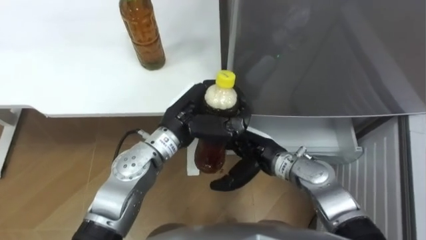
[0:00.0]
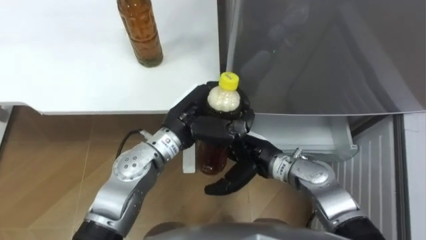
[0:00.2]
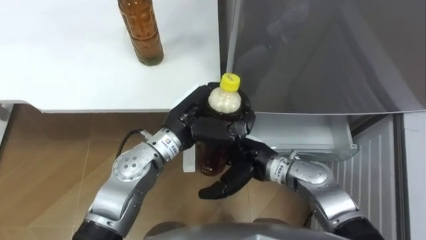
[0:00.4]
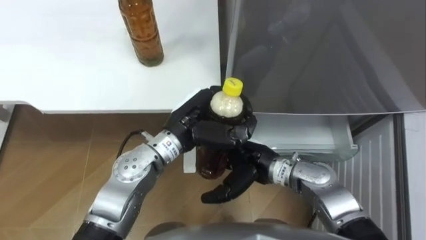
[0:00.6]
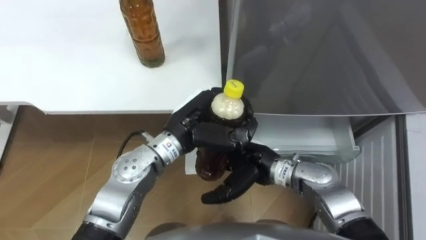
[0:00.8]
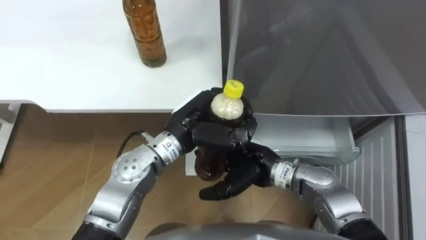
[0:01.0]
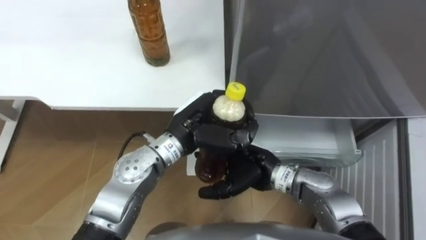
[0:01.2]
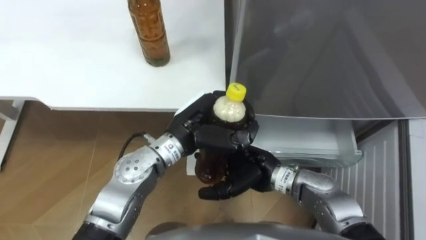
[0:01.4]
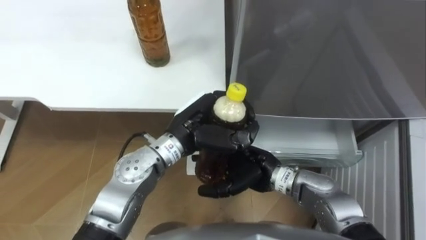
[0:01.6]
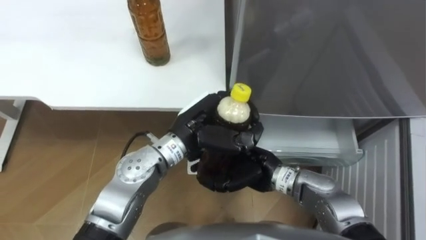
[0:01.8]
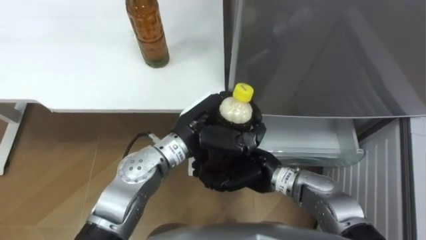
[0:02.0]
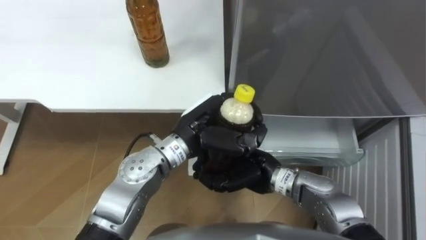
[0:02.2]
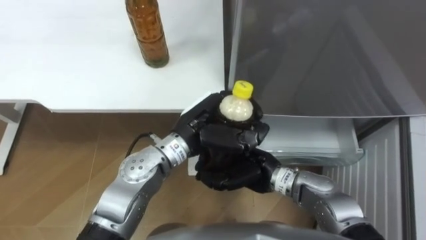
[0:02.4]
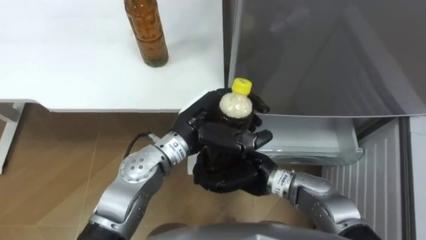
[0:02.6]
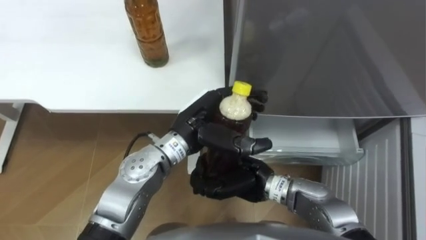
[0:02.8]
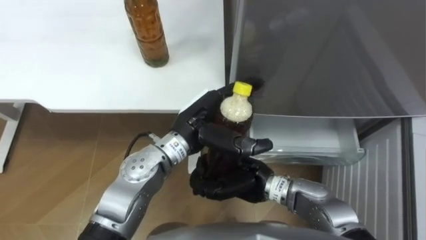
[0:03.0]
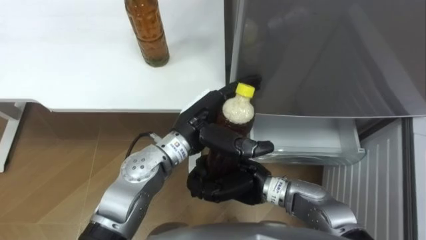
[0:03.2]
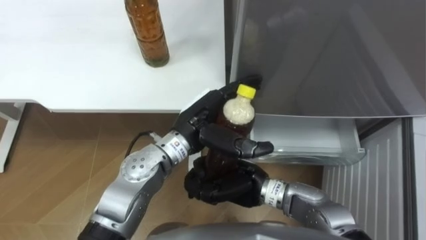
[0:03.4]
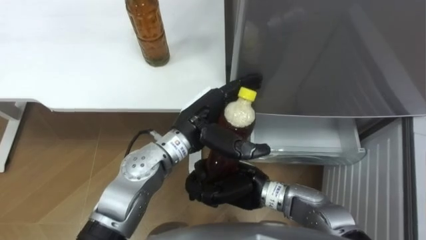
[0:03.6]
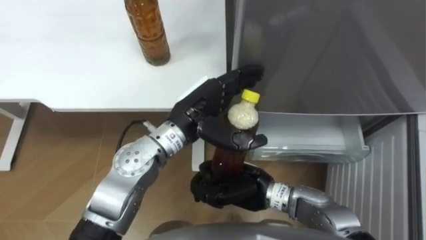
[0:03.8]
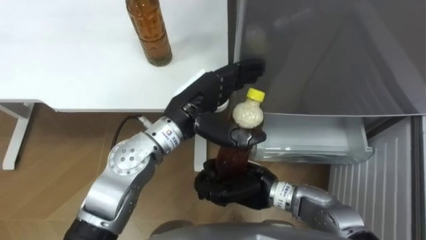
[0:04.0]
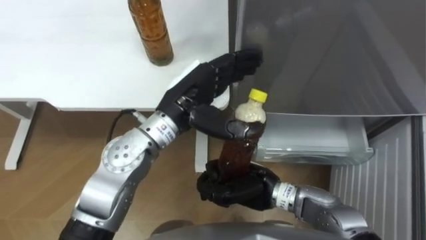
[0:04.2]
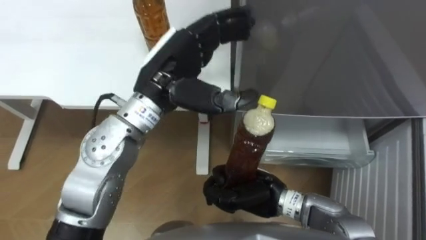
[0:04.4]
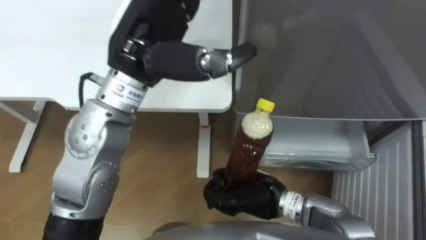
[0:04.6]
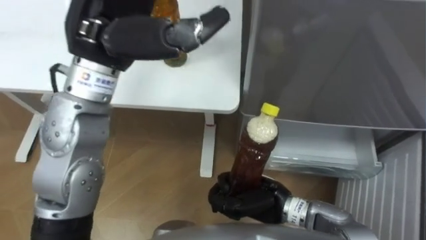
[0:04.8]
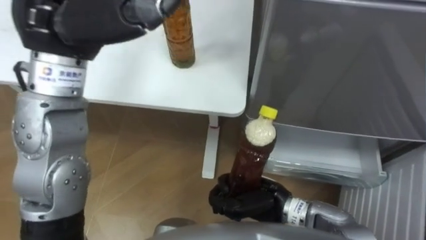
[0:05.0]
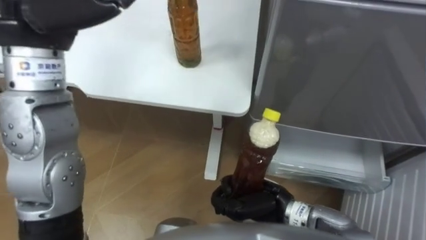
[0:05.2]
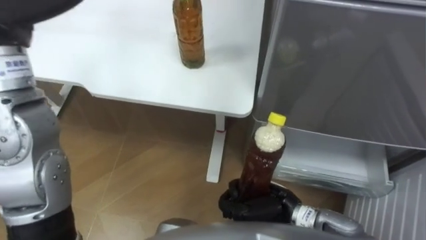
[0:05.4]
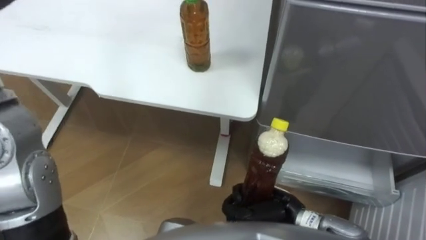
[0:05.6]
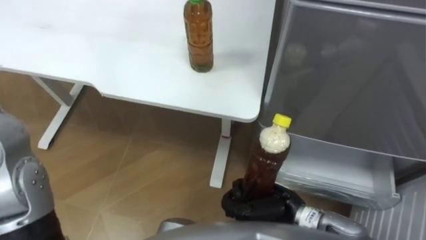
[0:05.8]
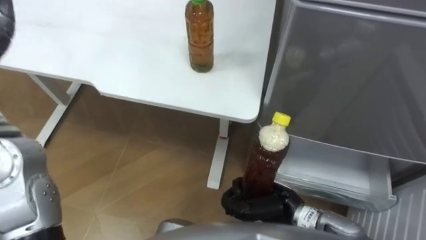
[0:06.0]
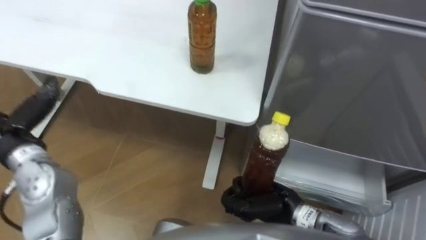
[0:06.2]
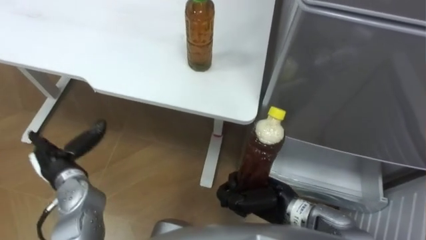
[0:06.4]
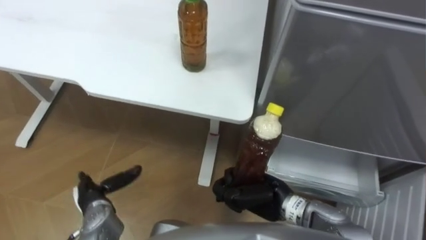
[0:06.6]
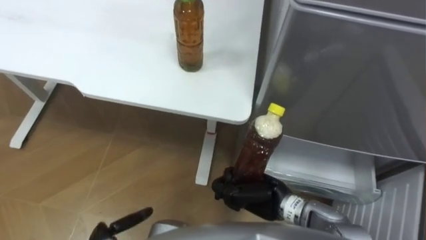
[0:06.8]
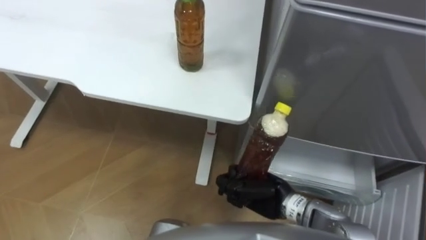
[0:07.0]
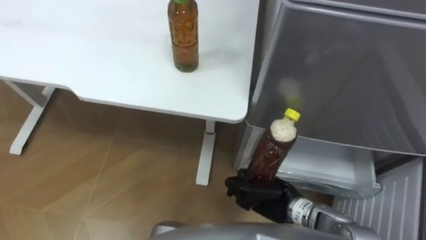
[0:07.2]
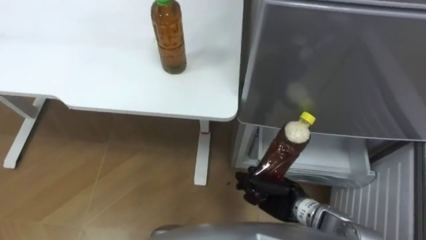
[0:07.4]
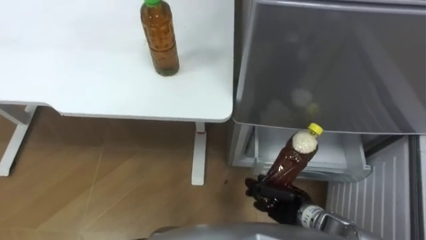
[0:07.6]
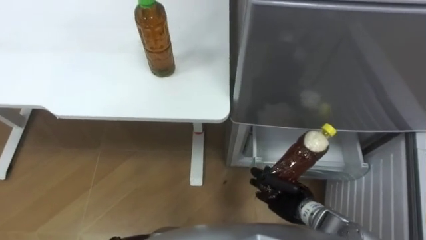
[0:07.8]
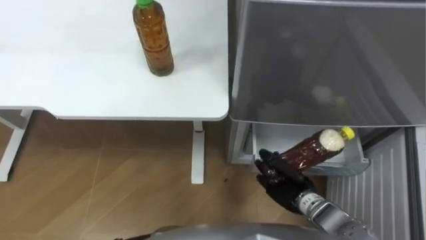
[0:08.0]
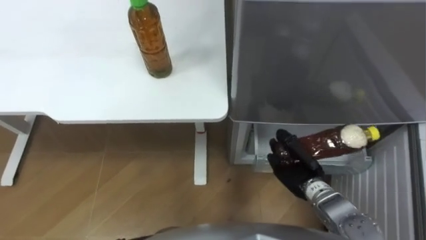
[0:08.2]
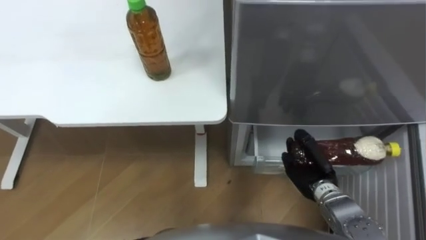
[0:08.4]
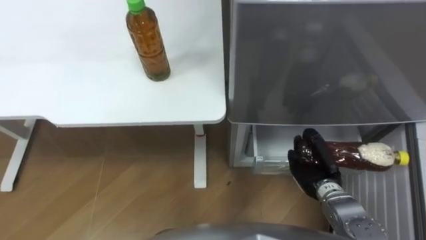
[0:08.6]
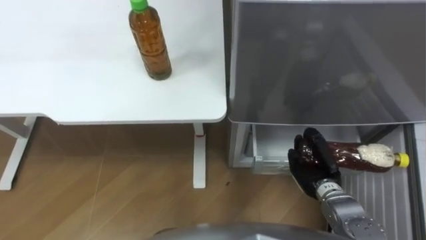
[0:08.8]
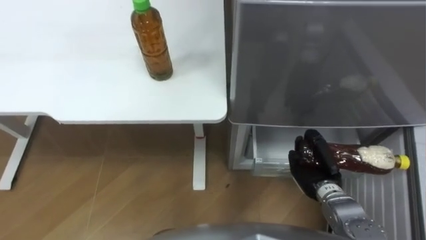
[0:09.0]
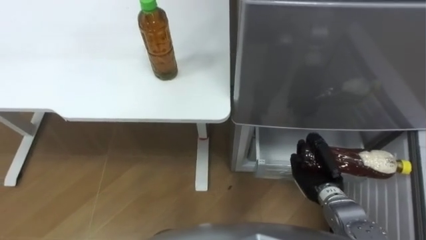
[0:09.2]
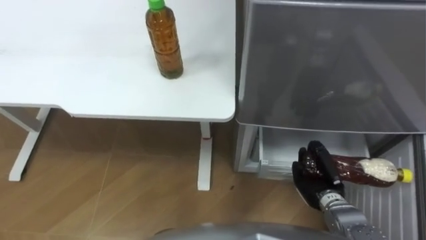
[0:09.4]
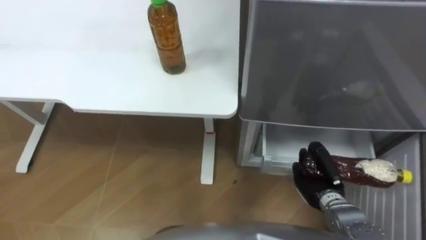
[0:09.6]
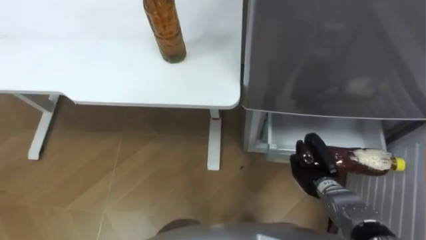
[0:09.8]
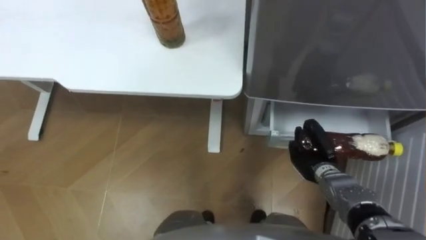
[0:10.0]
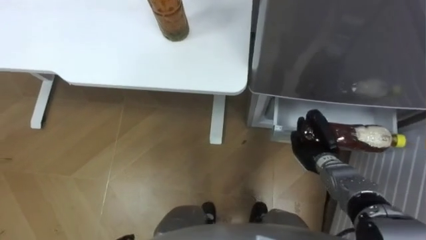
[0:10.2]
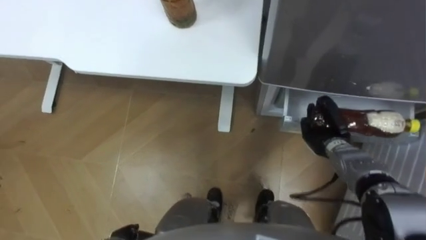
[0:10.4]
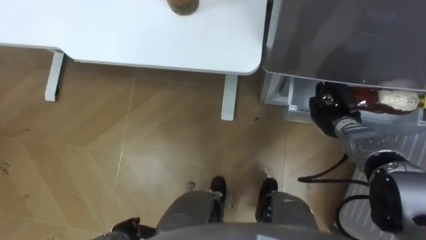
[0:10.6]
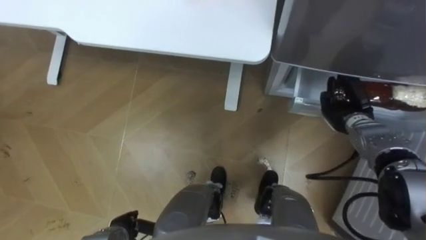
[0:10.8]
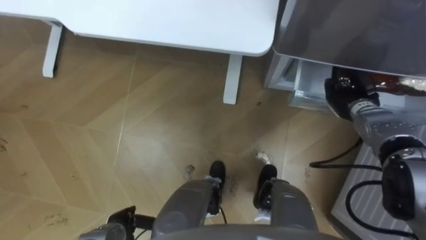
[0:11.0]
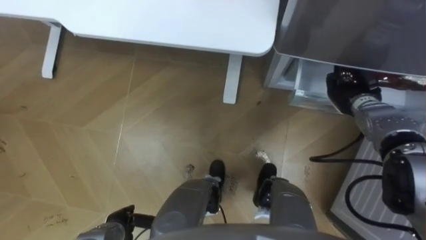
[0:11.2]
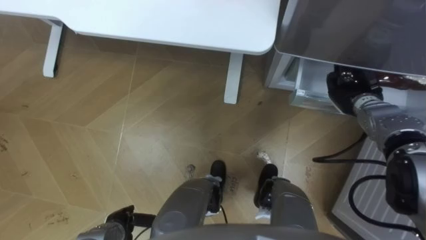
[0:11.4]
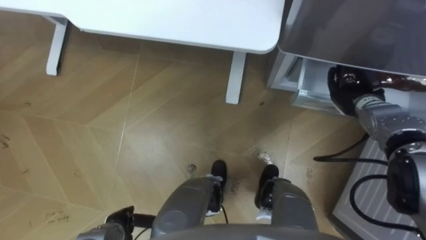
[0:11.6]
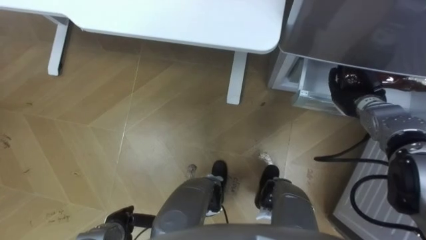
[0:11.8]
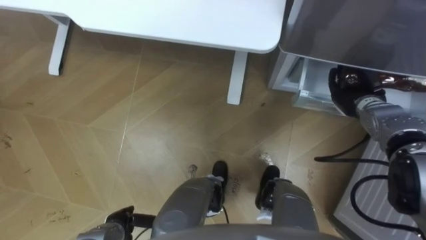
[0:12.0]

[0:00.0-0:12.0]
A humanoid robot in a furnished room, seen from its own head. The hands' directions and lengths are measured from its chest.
Task of the whole recording: Place the drink on the table on the bottom shelf of the refrigerator, then close the drawer and the refrigerator door.
0:01.6 to 0:03.0: The left hand opens its fingers. Meanwhile the right hand closes up.
0:03.0 to 0:04.4: The left hand shifts approximately 10 cm upward.
0:04.4 to 0:06.0: The right hand moves approximately 5 cm.
0:06.0 to 0:07.6: The right hand heads downward, covering roughly 5 cm.
0:07.6 to 0:09.0: The right hand moves to the right and forward, roughly 10 cm.
0:09.0 to 0:10.4: The right hand is displaced forward by approximately 10 cm.
0:10.4 to 0:12.0: The right hand shifts about 10 cm forward, upward and to the right.

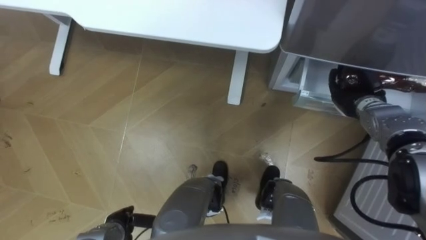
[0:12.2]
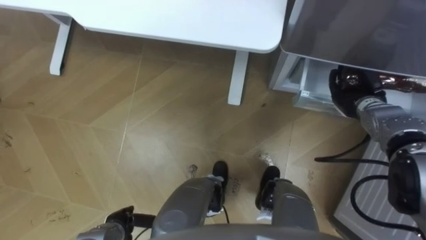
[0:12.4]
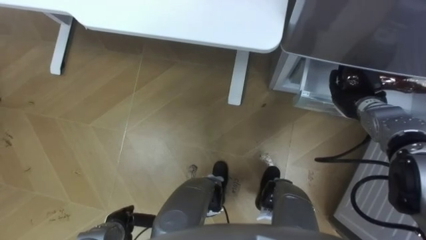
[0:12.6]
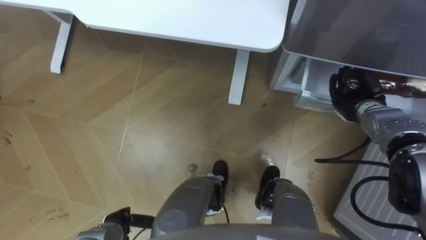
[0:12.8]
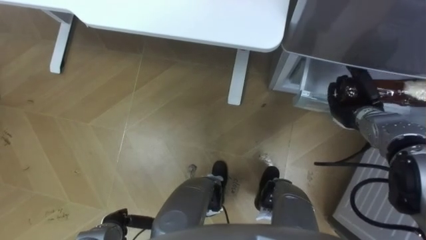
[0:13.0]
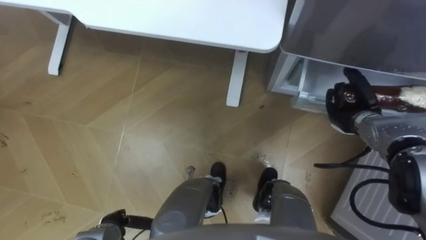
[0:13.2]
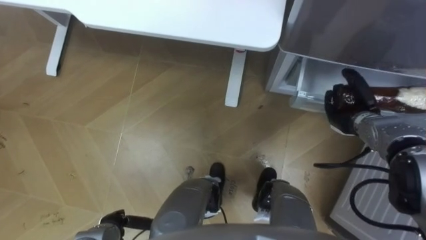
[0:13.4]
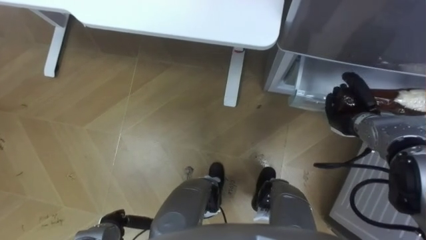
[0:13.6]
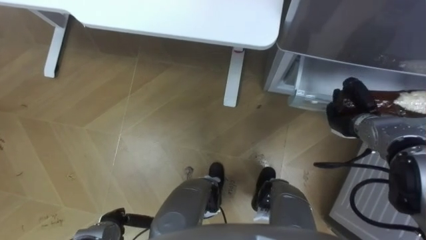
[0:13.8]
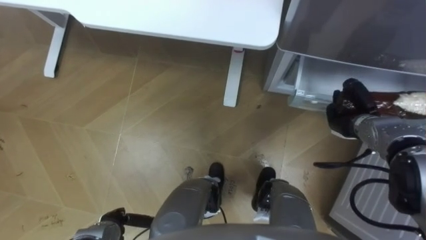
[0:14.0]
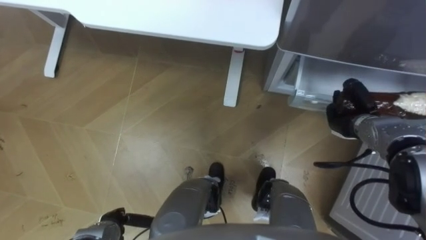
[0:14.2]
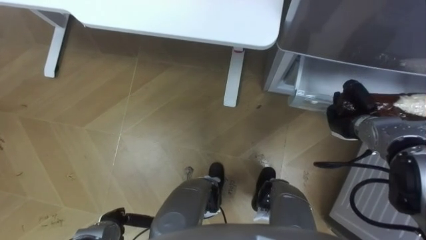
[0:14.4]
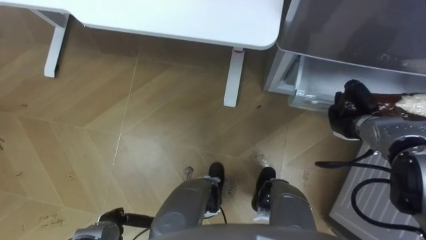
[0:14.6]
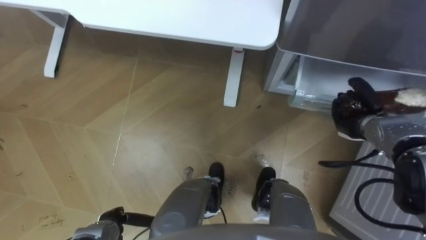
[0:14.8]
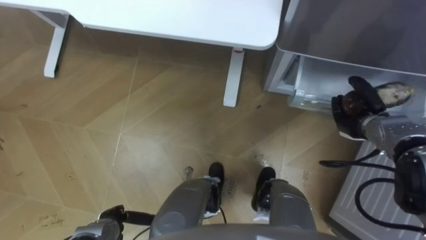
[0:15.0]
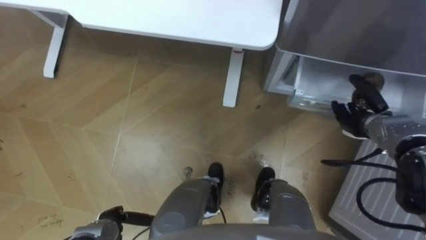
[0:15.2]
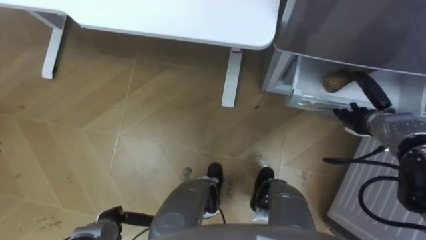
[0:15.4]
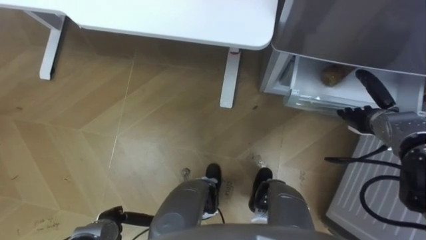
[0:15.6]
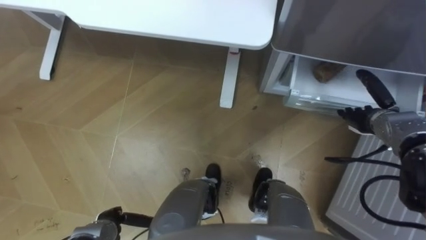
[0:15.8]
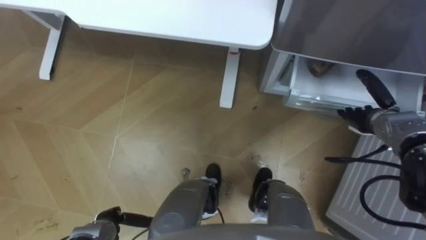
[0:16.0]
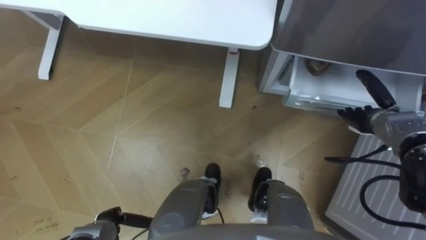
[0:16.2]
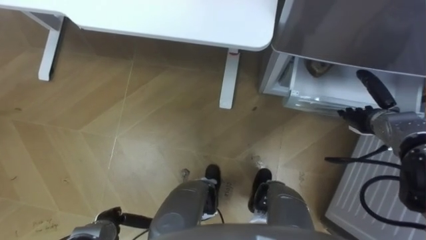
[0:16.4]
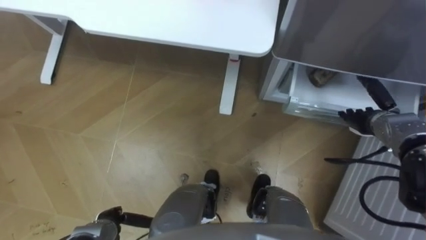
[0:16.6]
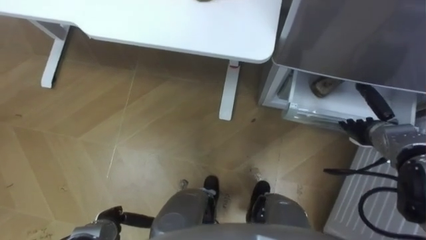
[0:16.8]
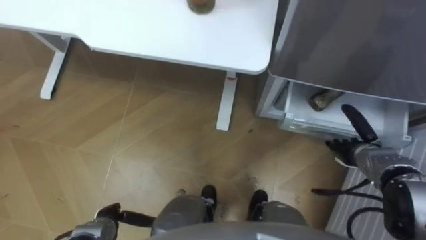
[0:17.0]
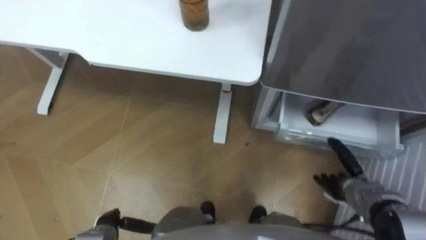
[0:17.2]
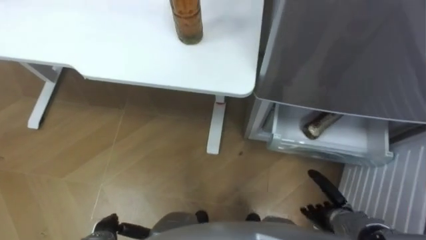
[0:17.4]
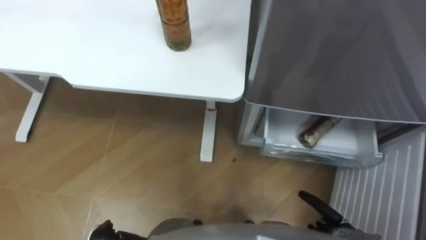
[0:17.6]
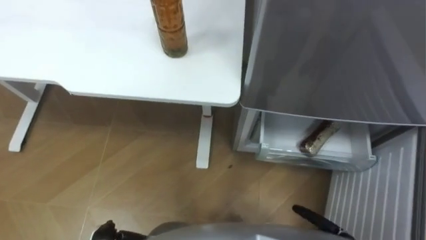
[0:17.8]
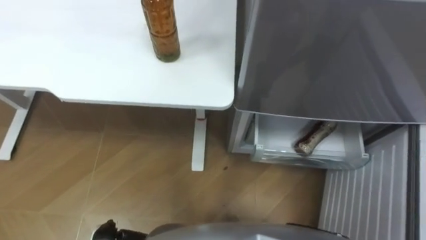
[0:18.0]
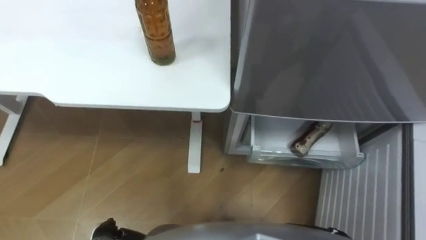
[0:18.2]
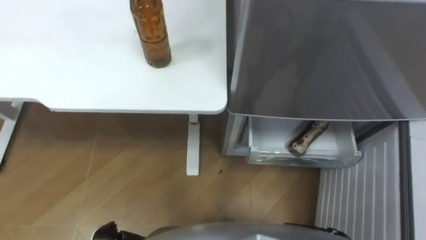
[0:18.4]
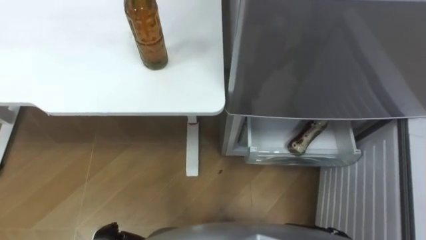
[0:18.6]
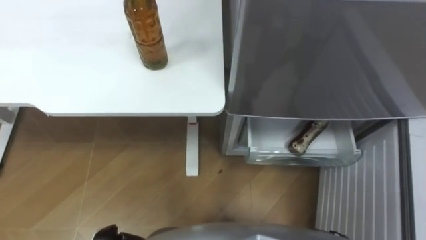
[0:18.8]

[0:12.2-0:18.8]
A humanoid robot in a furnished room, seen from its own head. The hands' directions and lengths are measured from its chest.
Task of the whole recording: Place the drink on the table on the bottom shelf of the refrigerator, then close the drawer and the refrigerator door.
0:12.2 to 0:13.8: The right hand changes place by approximately 5 cm.
0:13.8 to 0:15.4: The right hand opens its fingers.
0:15.4 to 0:17.2: The right hand heads backward and downward, covering some 15 cm.
